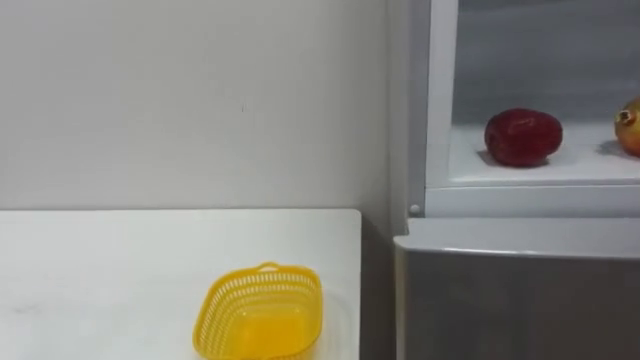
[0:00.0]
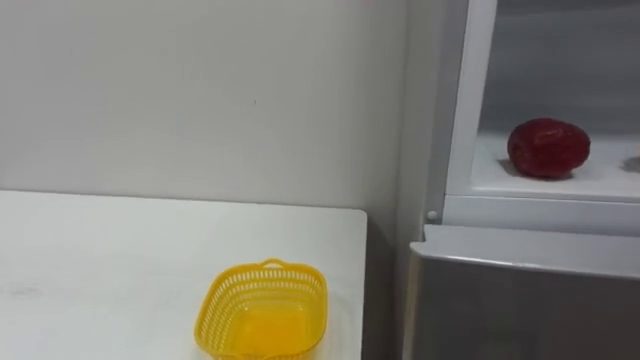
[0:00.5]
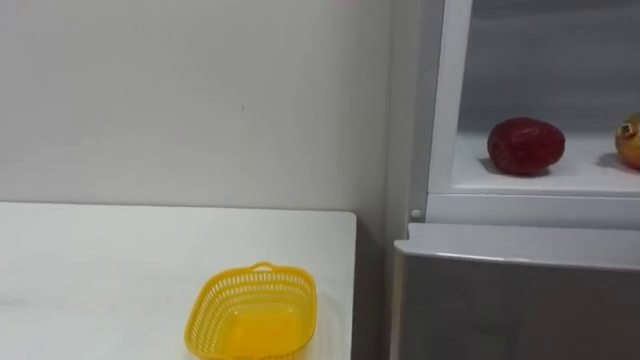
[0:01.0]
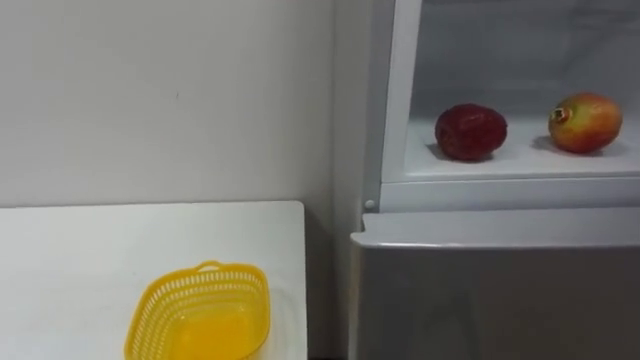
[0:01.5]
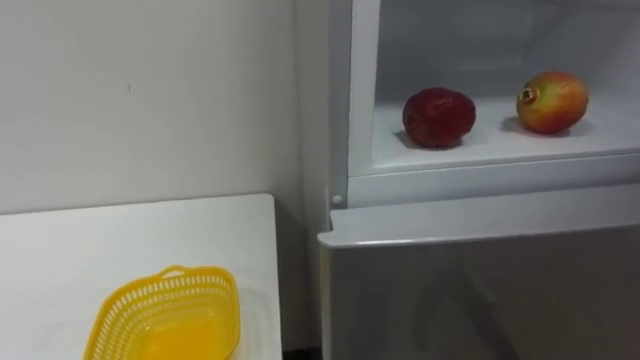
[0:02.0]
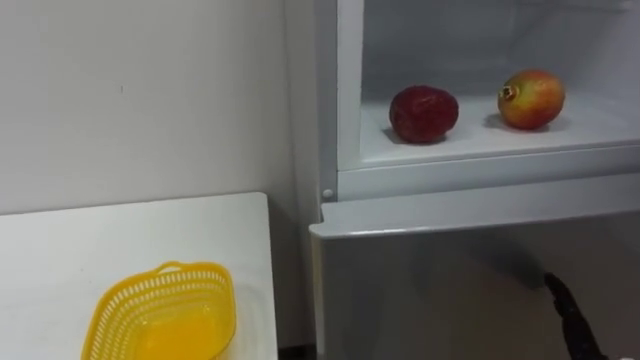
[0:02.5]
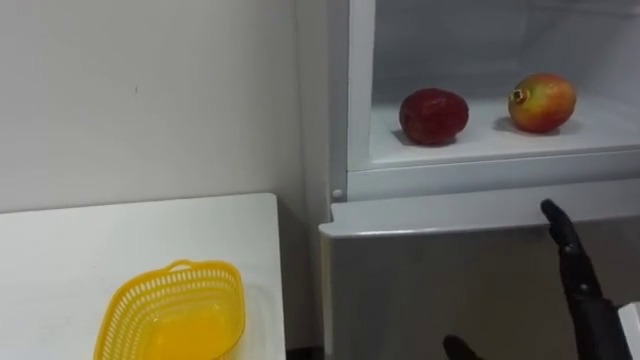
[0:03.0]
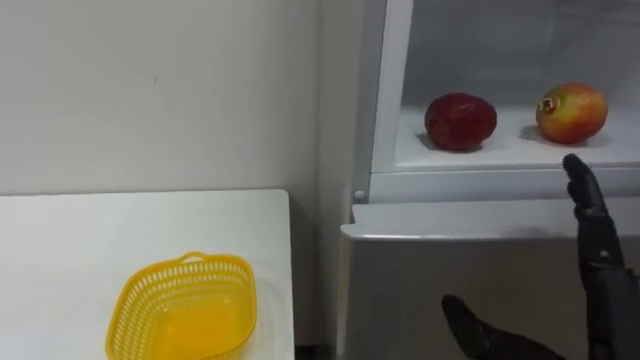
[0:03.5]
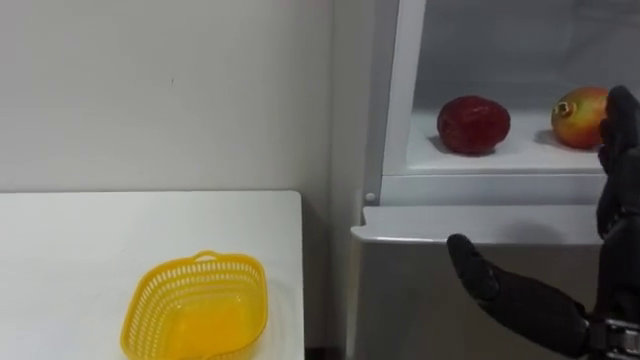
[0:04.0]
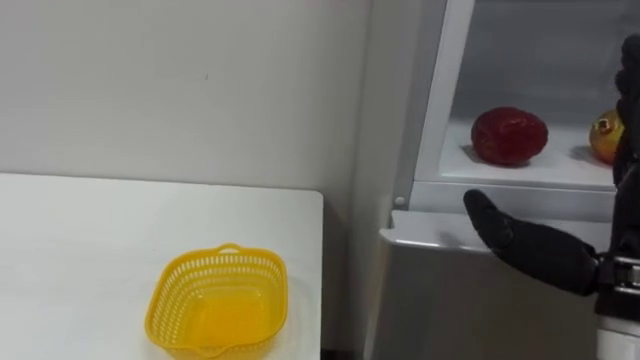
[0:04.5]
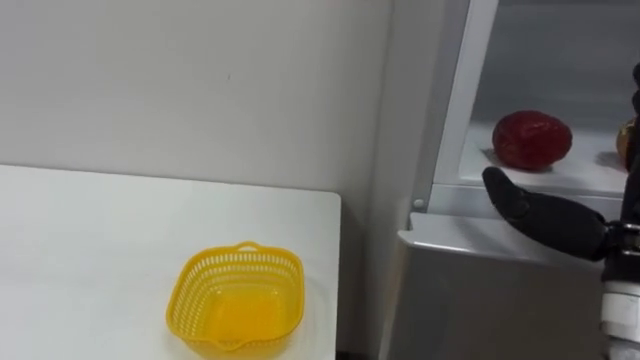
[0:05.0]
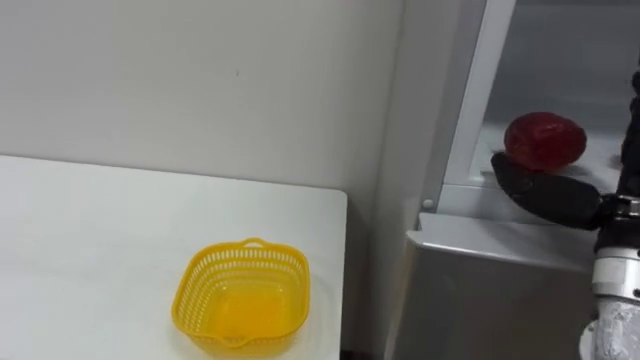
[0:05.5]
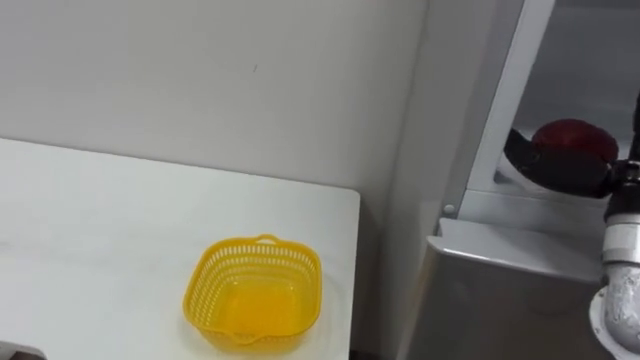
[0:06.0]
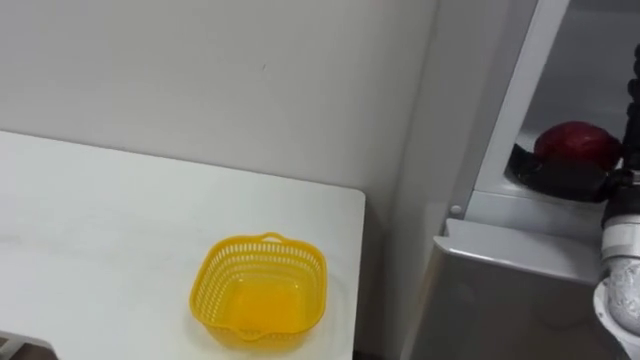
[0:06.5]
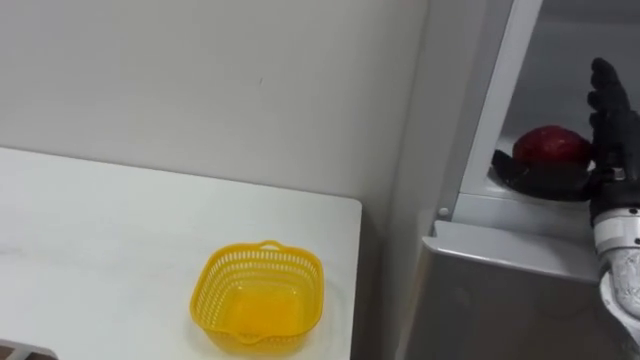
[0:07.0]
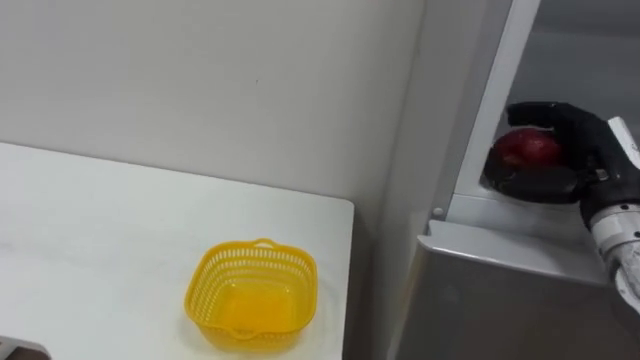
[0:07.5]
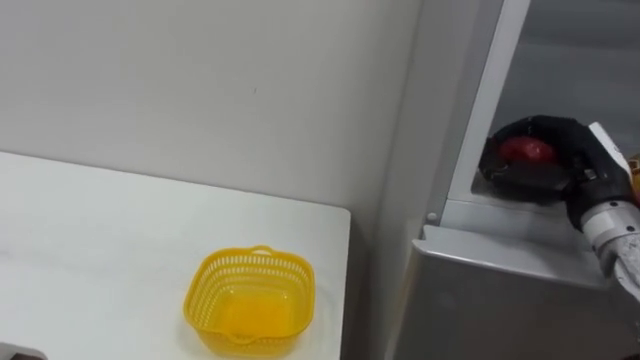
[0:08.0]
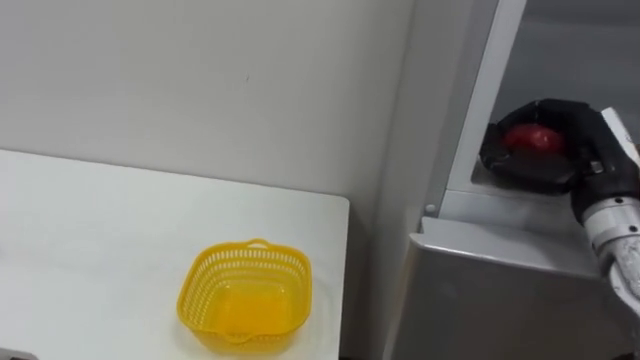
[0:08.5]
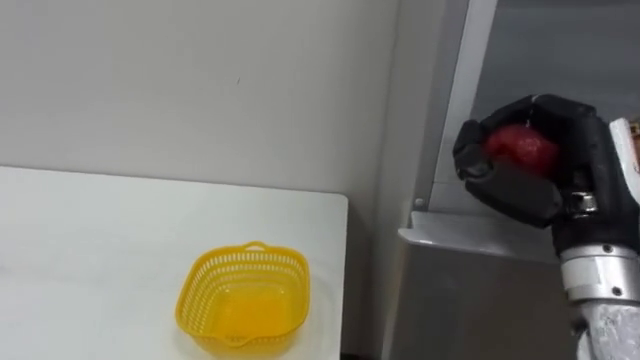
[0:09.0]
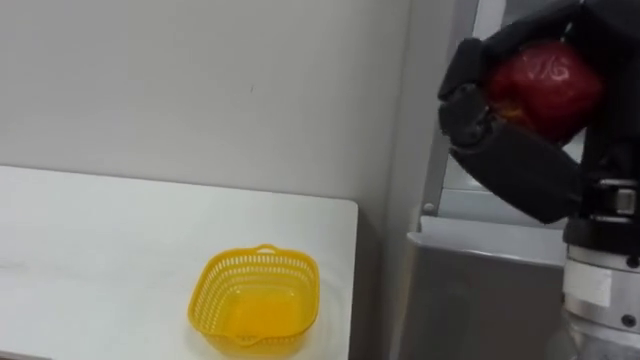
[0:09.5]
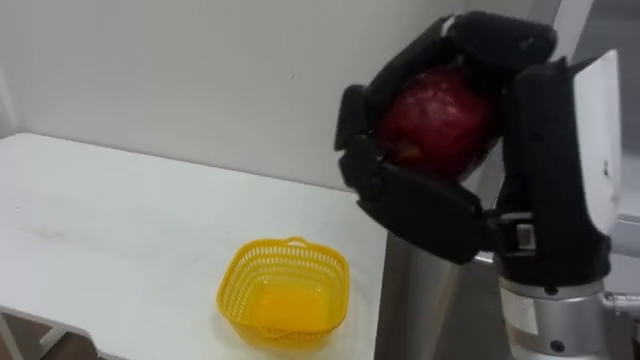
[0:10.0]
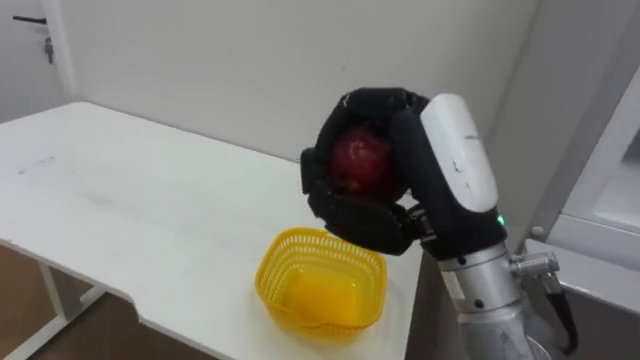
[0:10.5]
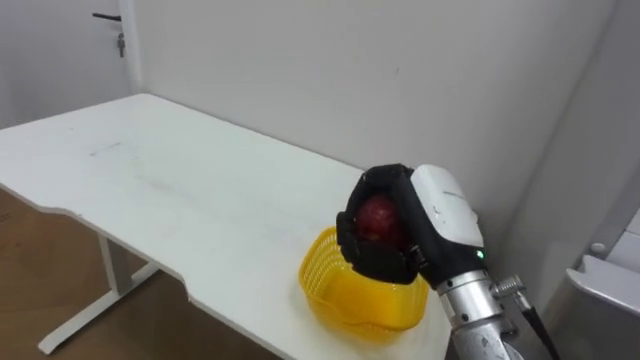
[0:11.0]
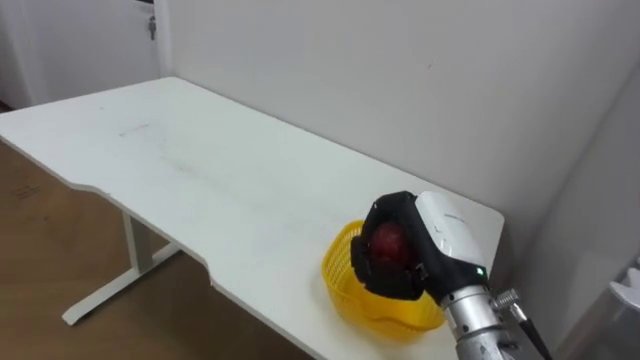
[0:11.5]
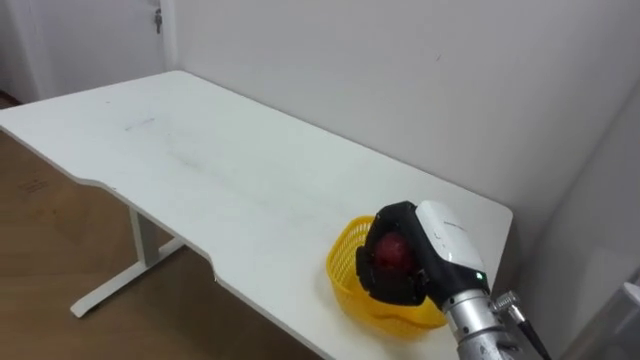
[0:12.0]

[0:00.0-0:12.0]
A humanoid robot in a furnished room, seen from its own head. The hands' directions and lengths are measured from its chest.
Task of the whole recording: Open the refrigerator door, take out the apple and the pomegranate, place them in the fruit basket on the left, and close the refrigerator door.
0:04.0 to 0:06.0: The right hand shifts some 10 cm forward and to the right.
0:06.0 to 0:08.0: The right hand moves forward and downward, roughly 10 cm, and closes up.
0:08.0 to 0:10.0: The right hand is displaced backward, to the left and upward by approximately 25 cm.
0:10.0 to 0:12.0: The right hand is displaced downward and forward by approximately 25 cm.

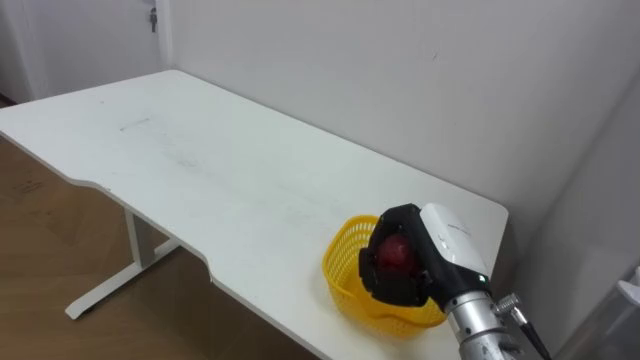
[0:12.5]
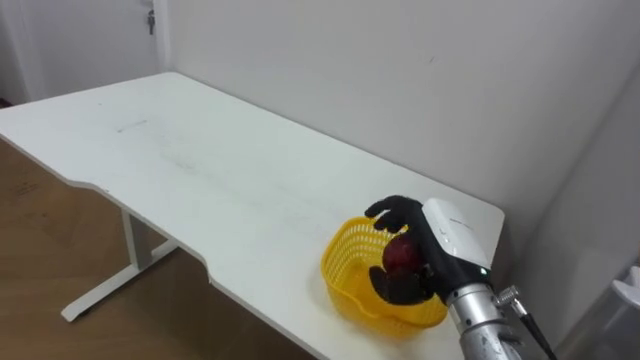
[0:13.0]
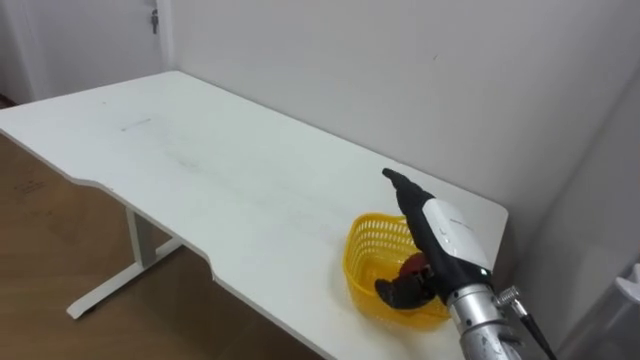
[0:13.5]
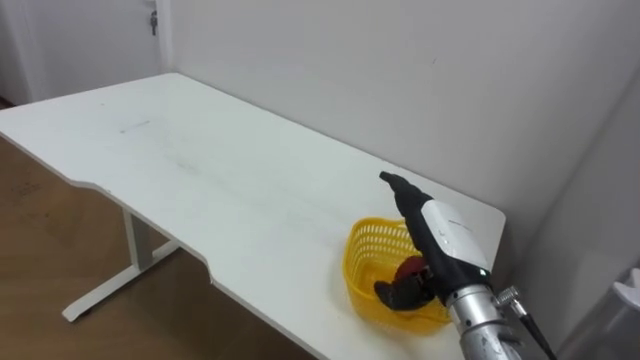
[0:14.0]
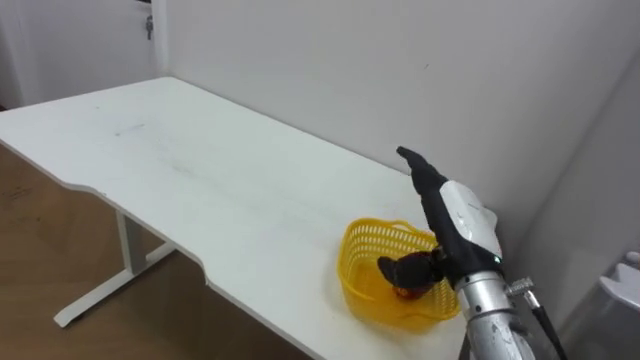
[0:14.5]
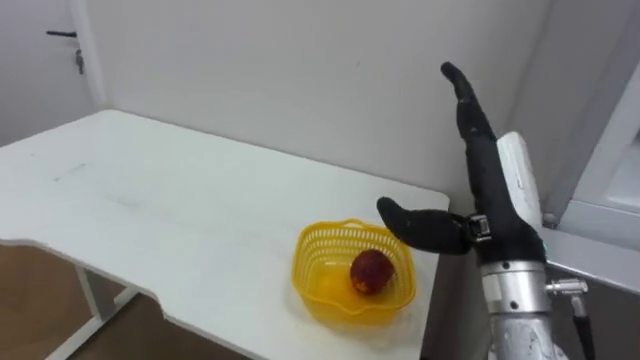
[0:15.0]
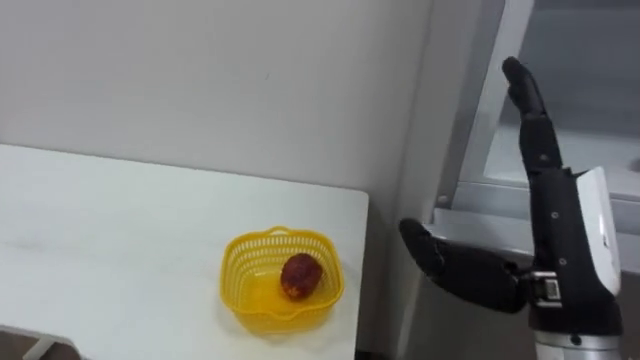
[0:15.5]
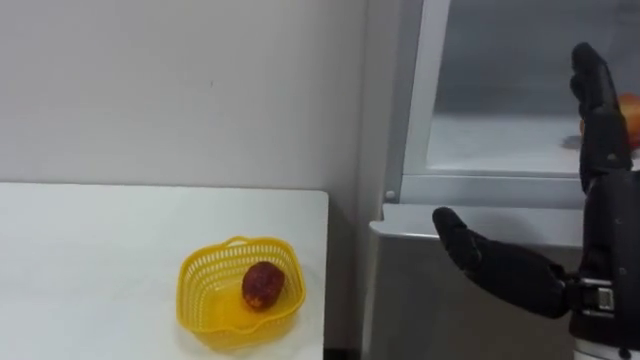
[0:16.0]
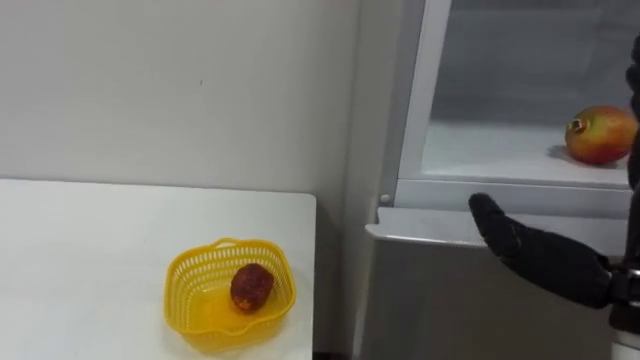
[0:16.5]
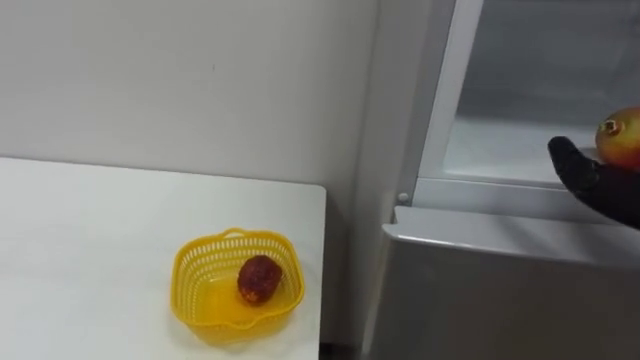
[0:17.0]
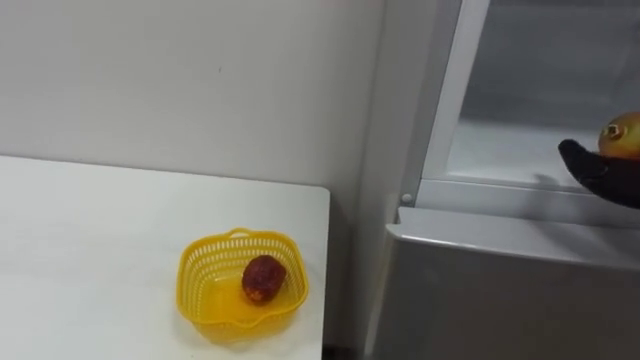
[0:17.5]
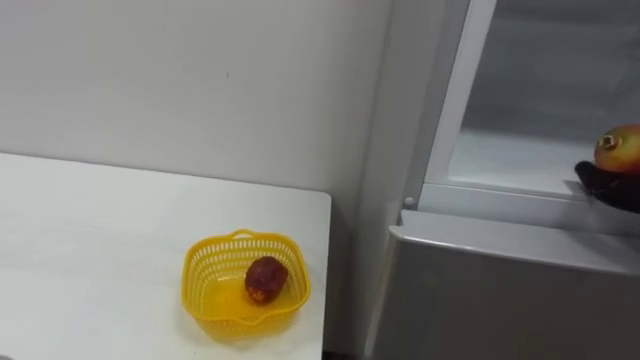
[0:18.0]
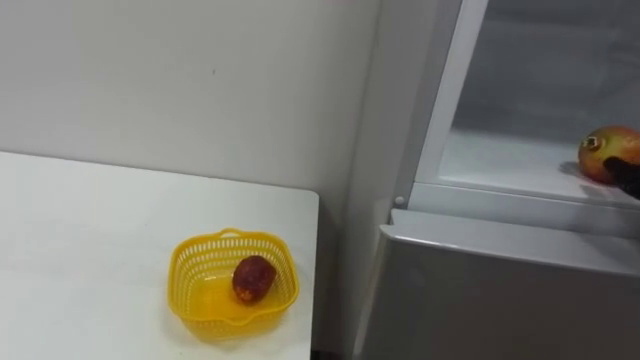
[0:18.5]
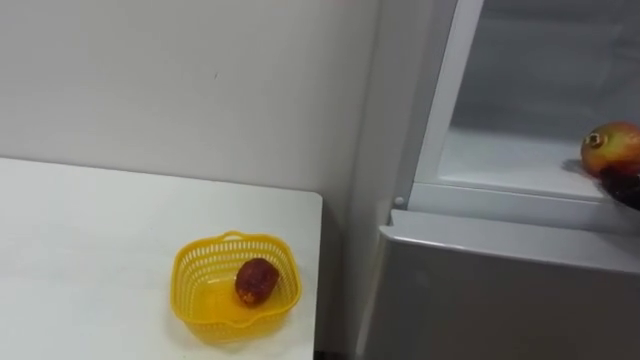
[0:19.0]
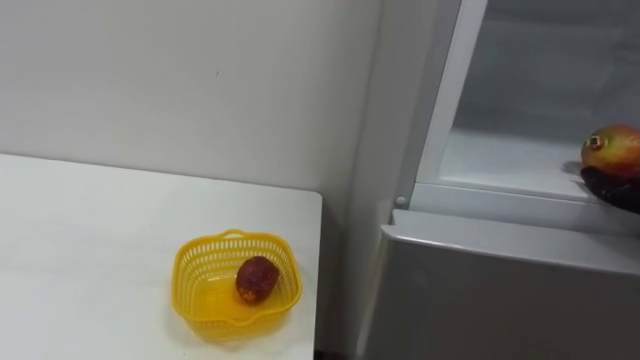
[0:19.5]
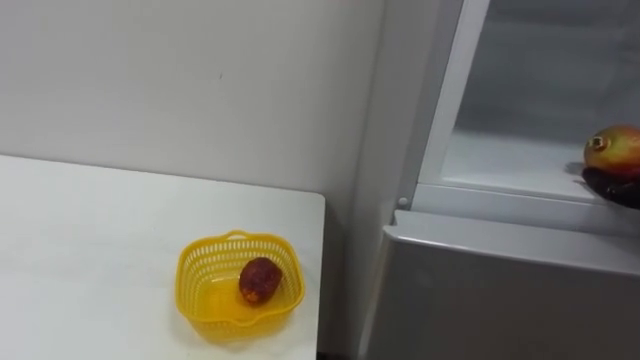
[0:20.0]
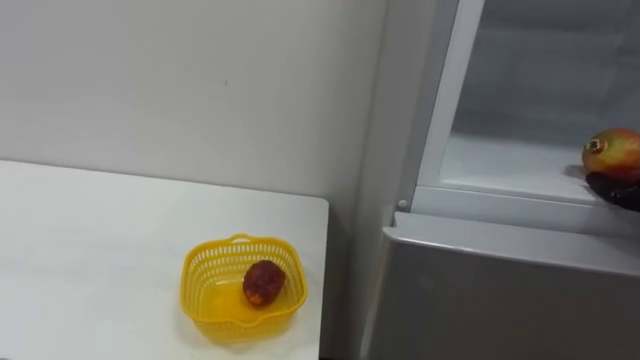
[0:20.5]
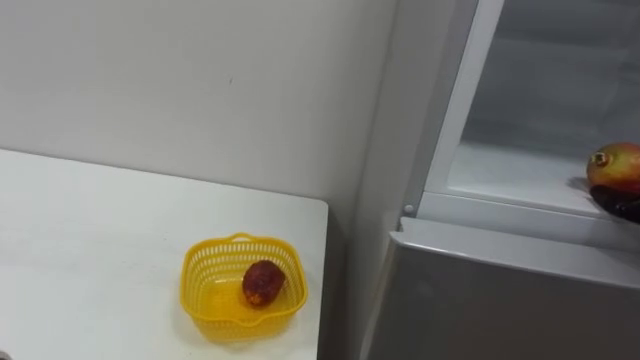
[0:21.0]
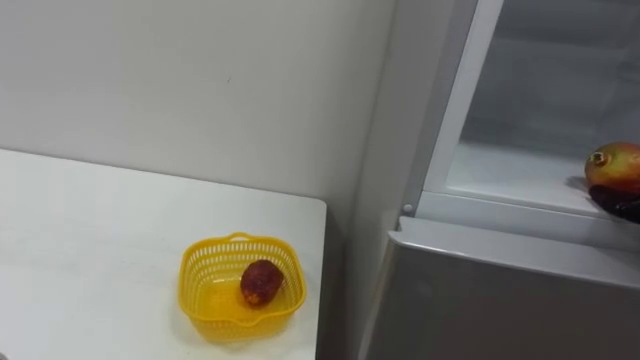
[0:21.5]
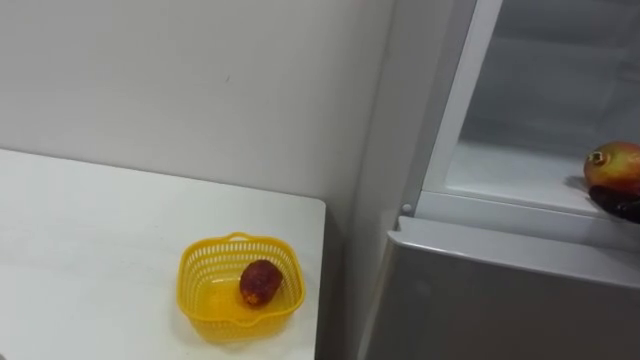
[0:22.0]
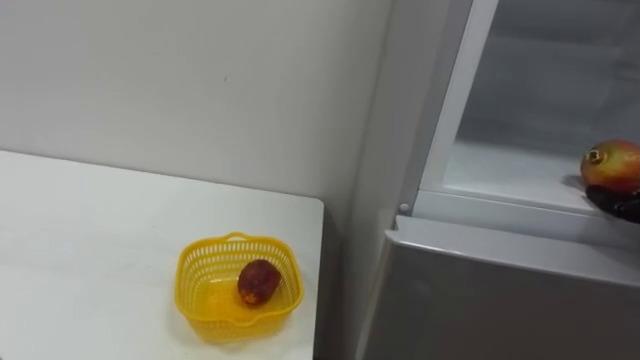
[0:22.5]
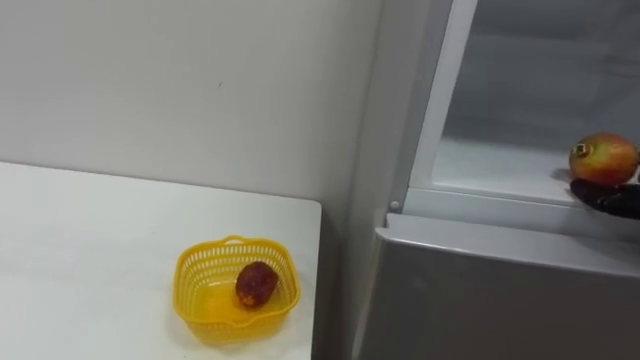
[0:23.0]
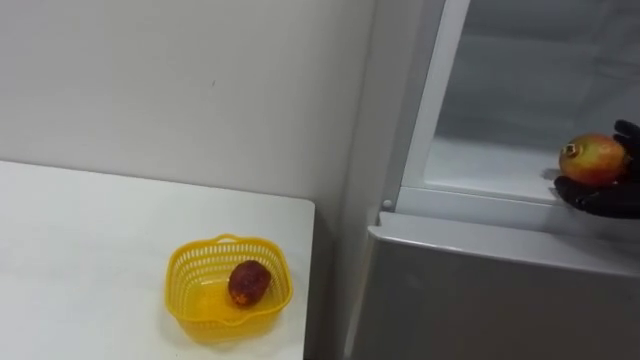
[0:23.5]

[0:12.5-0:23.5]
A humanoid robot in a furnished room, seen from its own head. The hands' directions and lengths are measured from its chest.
Task of the whole recording: Open the refrigerator door, take out the apple and the pomegranate, place them in the fruit basket on the left, and close the refrigerator door.
0:12.5 to 0:14.5: The right hand opens its fingers.
0:14.5 to 0:16.0: The right hand shifts approximately 20 cm backward, upward and to the right.
